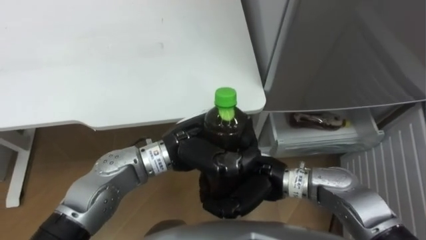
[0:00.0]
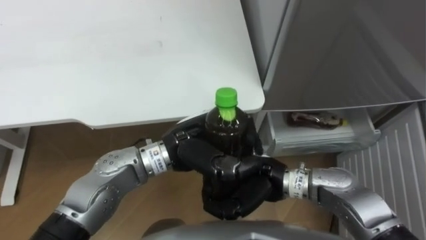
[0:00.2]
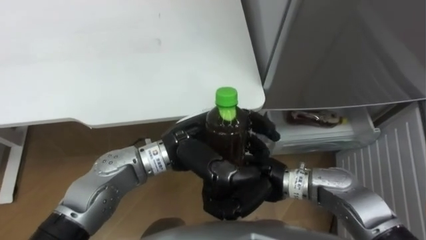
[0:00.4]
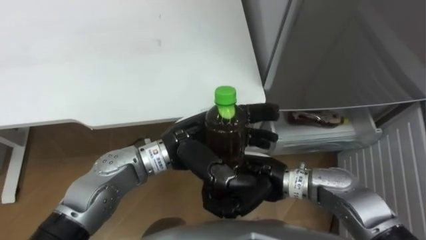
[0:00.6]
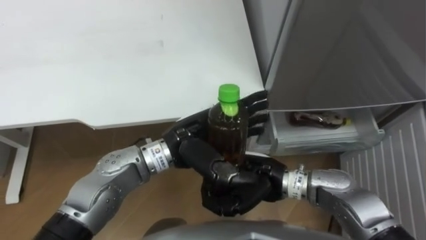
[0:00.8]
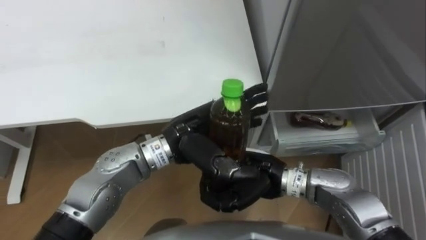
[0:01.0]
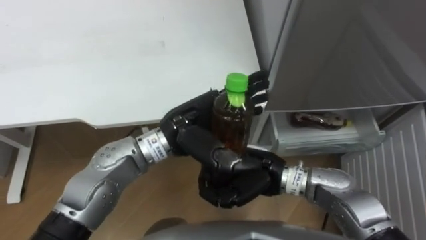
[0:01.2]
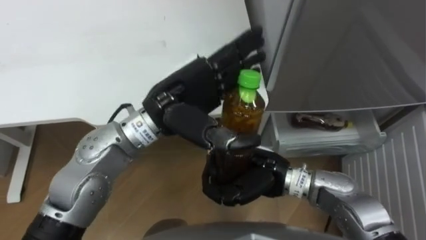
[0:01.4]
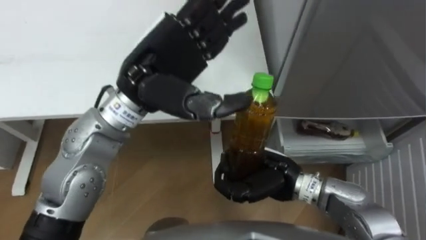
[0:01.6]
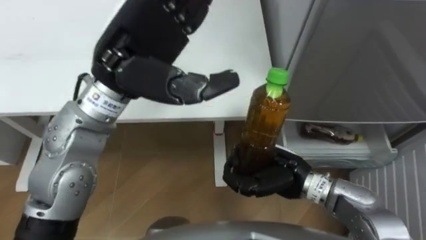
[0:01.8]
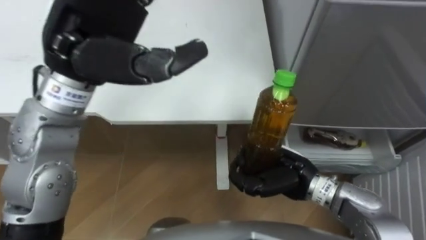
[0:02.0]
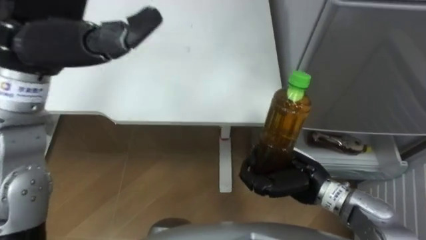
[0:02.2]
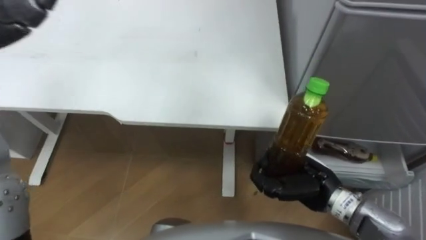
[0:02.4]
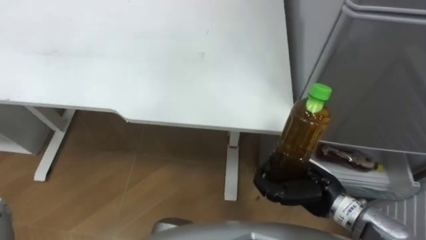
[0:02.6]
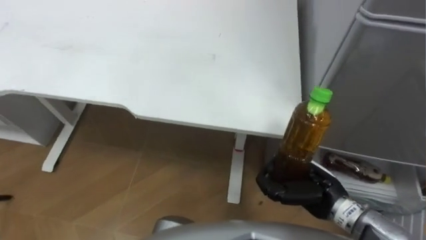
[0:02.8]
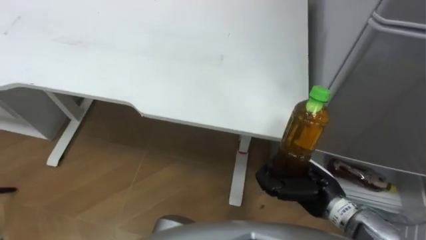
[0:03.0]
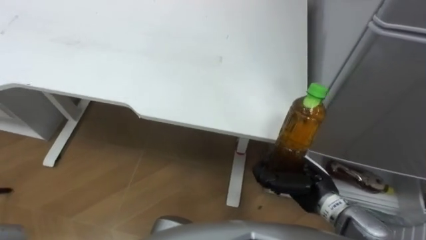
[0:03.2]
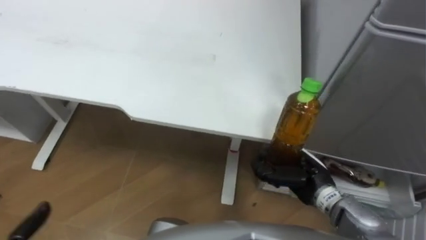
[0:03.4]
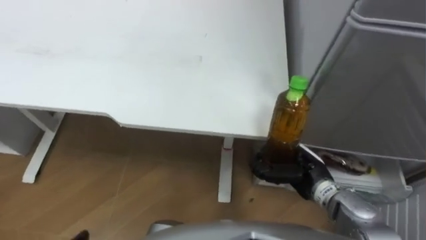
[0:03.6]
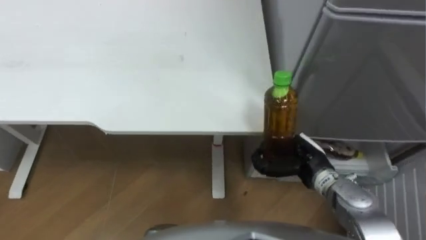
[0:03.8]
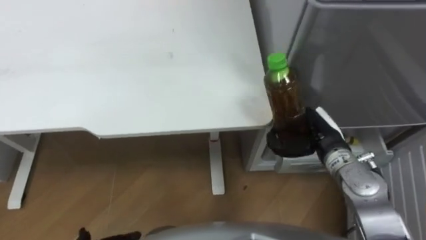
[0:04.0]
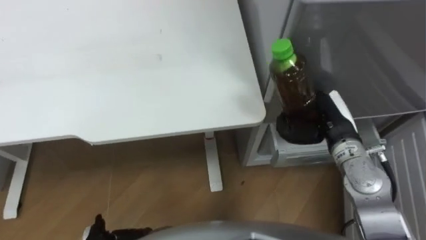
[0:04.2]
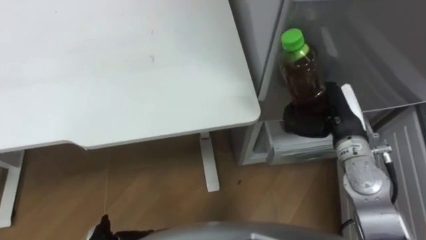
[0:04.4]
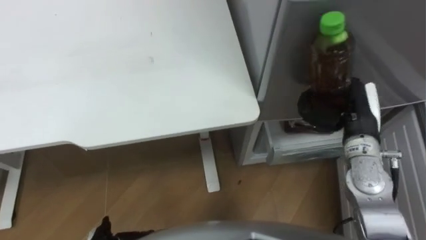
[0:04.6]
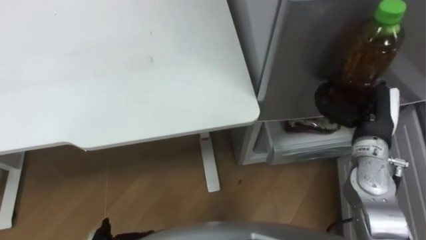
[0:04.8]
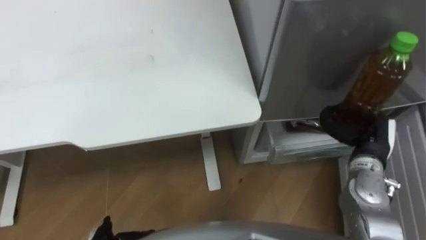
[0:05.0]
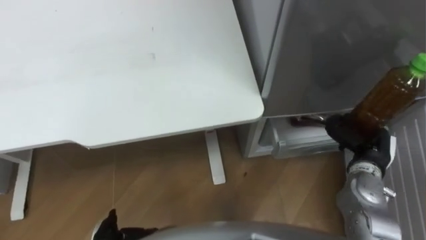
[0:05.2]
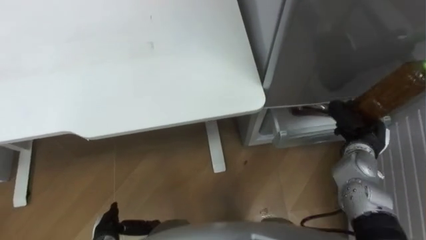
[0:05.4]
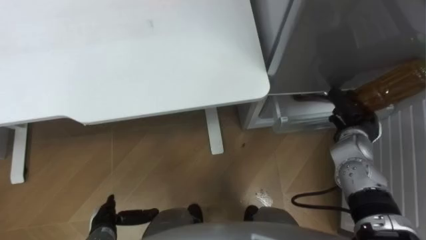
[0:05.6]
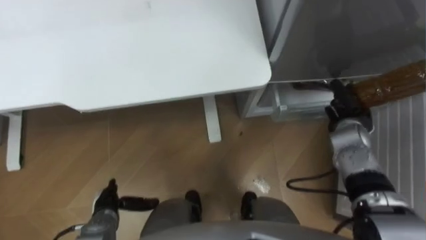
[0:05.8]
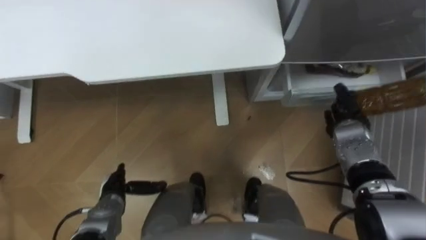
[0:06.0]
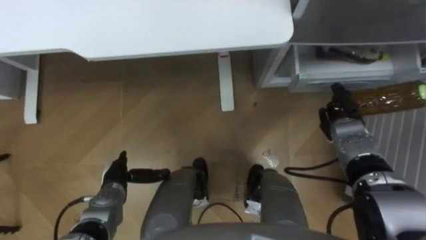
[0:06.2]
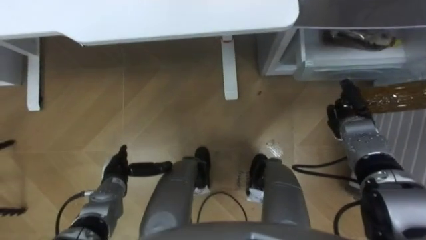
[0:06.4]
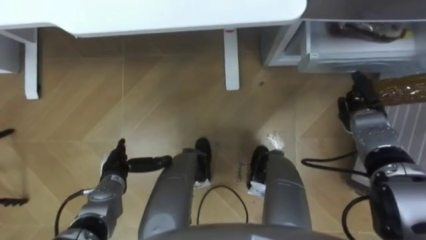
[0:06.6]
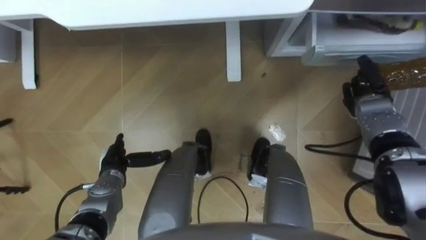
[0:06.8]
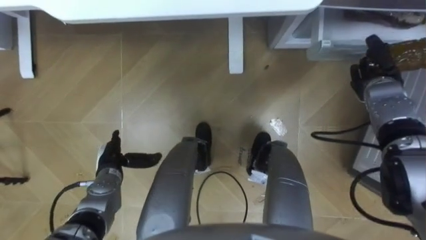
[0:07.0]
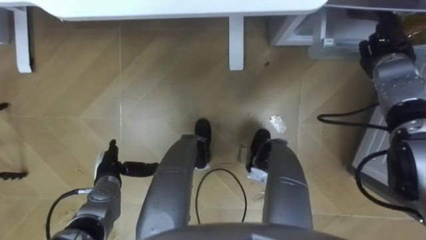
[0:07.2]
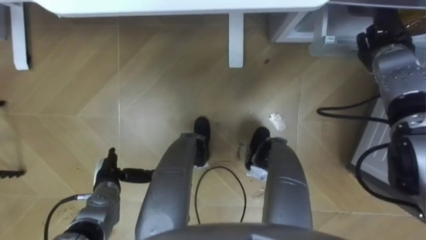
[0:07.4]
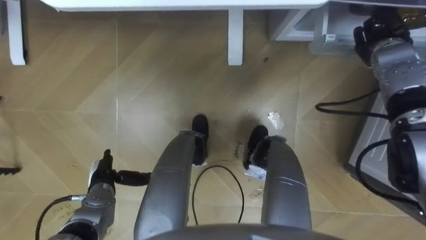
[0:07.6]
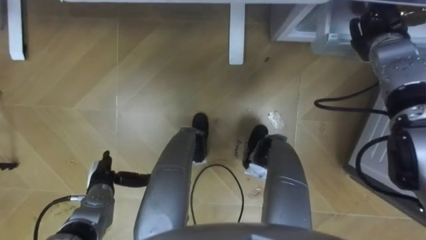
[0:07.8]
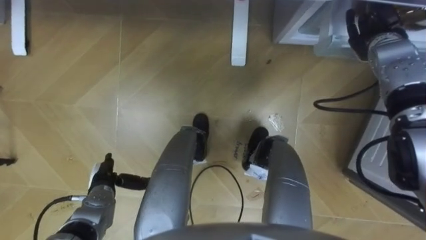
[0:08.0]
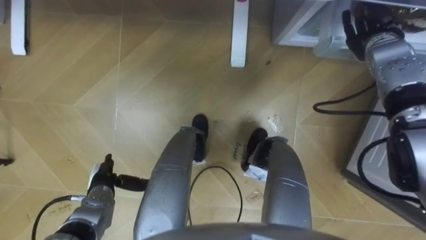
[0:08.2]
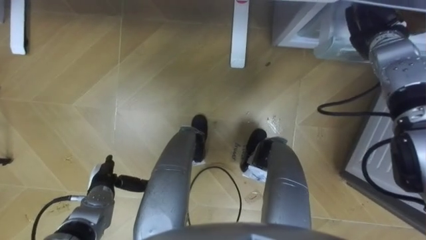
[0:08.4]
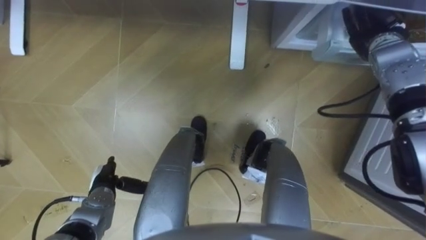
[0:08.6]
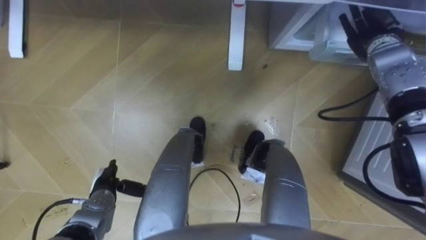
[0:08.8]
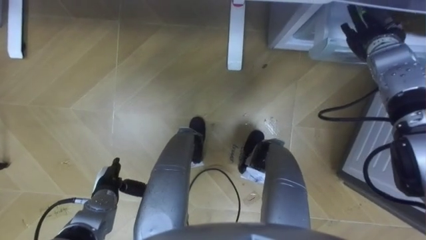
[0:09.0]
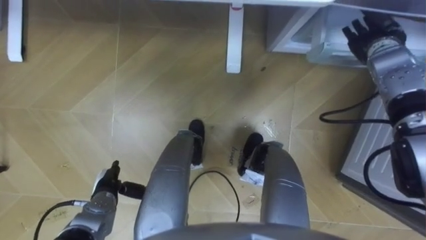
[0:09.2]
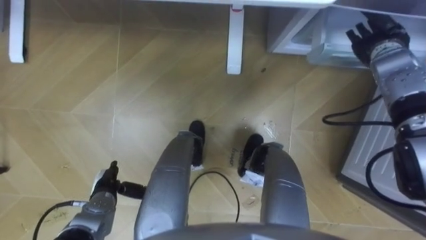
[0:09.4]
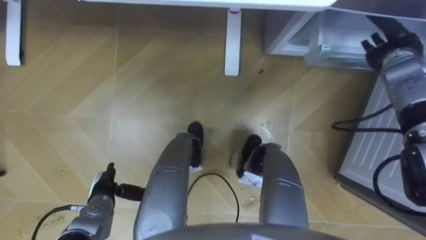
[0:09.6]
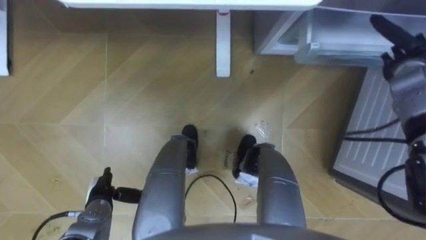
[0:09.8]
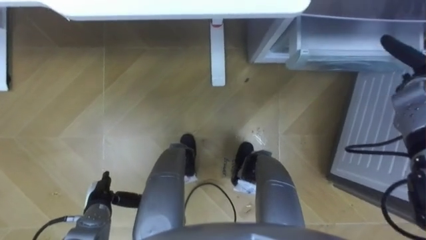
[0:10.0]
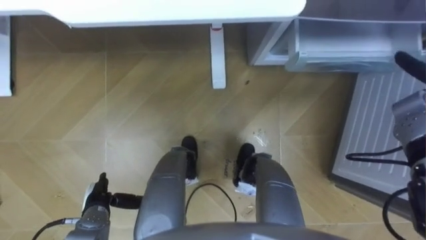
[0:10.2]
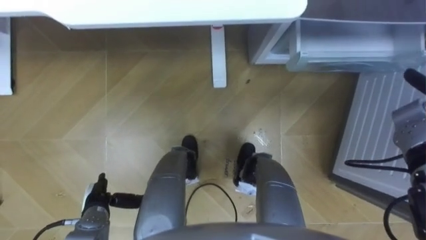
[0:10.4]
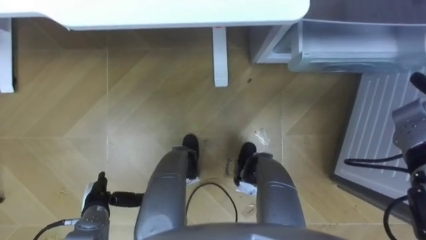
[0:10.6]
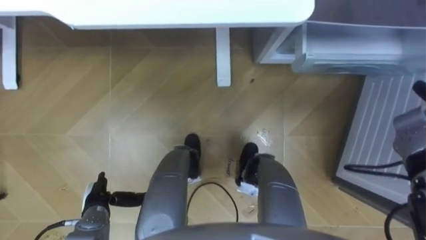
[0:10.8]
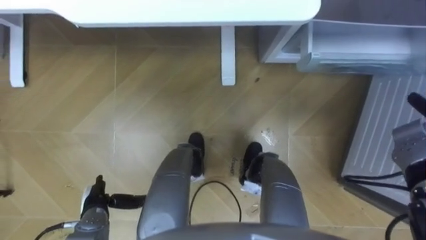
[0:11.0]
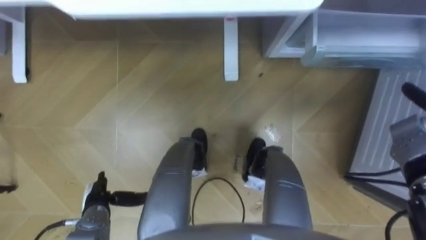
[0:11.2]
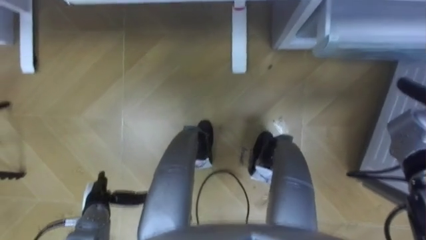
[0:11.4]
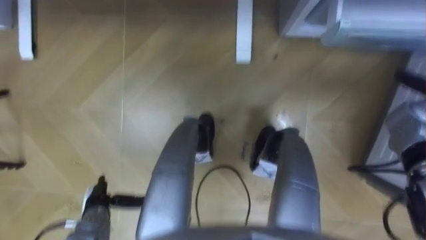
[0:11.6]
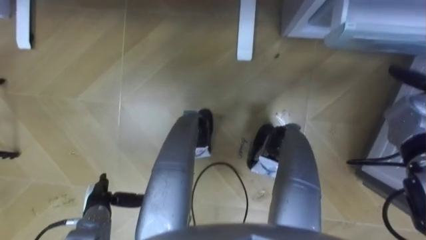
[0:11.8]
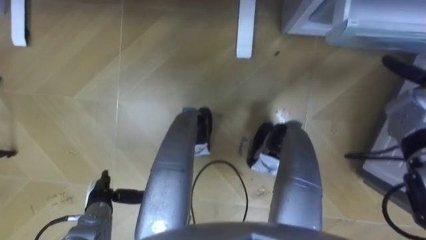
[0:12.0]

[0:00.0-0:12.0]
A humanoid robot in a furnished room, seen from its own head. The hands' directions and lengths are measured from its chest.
Task of the whole recording: Place the drink on the table on the bottom shelf of the refrigerator, then close the drawer and the refrigerator door.
0:00.0 to 0:01.6: The left hand heads upward, covering some 15 cm, and opens.
0:01.6 to 0:03.0: The right hand is displaced to the right by about 10 cm.
0:03.0 to 0:04.4: The right hand is displaced forward and upward by about 15 cm.
0:04.4 to 0:06.0: The right hand travels downward and to the right by approximately 10 cm.
0:06.0 to 0:07.6: The right hand is displaced upward and forward by approximately 15 cm.
0:07.6 to 0:09.0: The right hand opens.

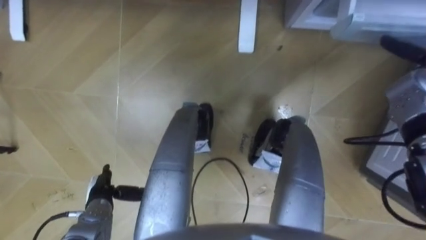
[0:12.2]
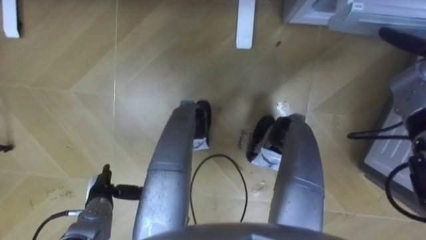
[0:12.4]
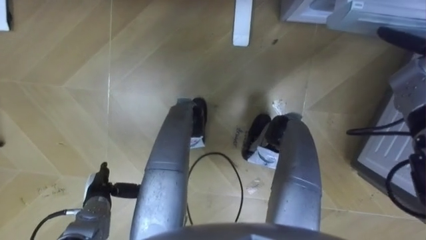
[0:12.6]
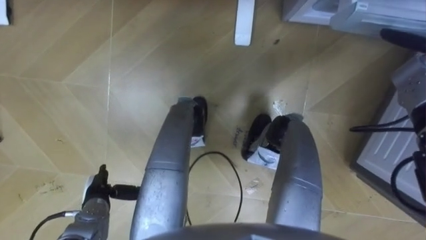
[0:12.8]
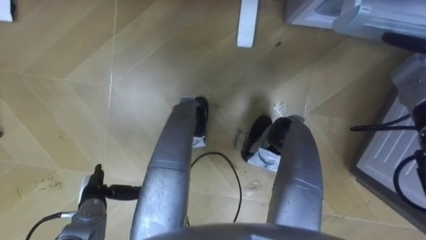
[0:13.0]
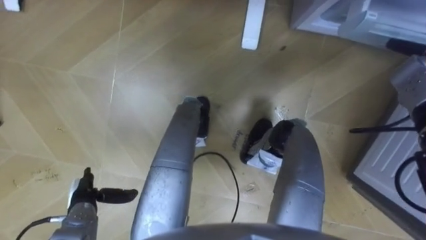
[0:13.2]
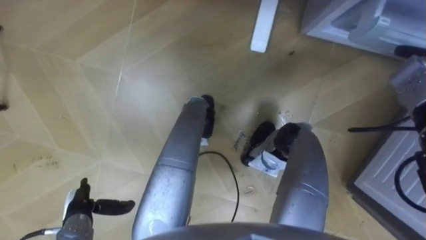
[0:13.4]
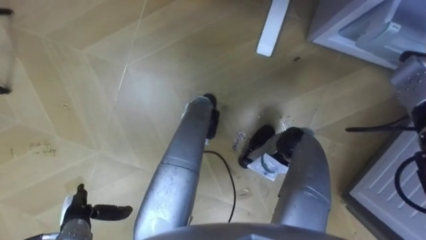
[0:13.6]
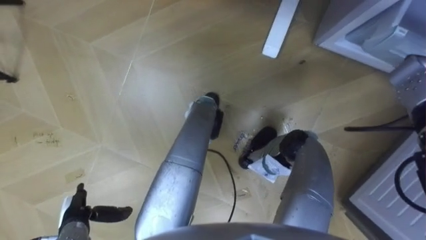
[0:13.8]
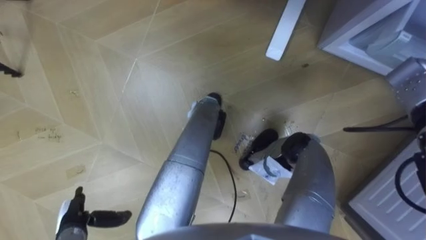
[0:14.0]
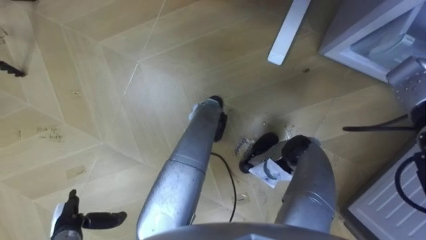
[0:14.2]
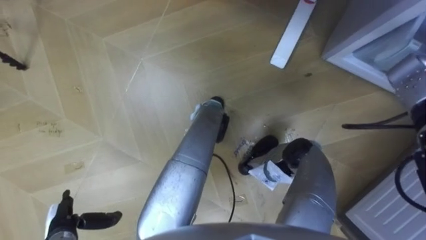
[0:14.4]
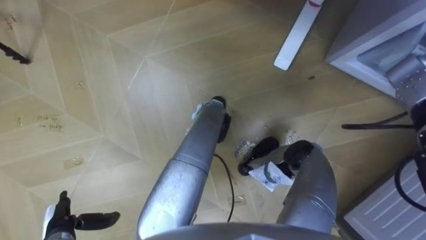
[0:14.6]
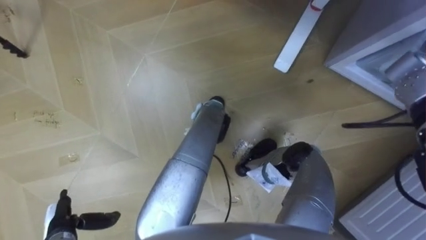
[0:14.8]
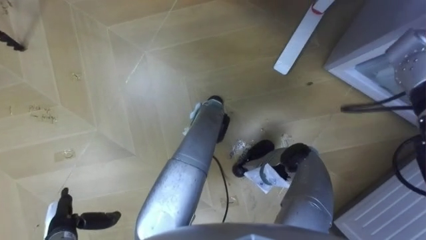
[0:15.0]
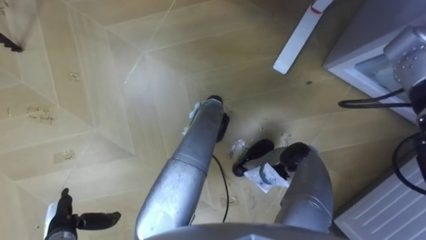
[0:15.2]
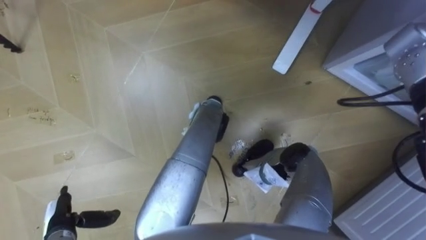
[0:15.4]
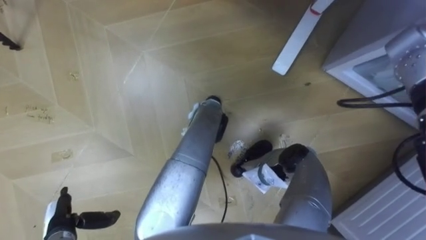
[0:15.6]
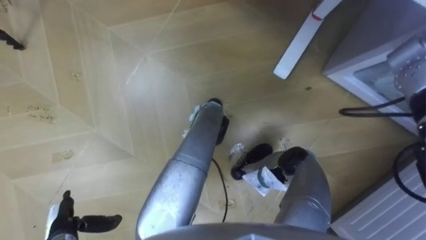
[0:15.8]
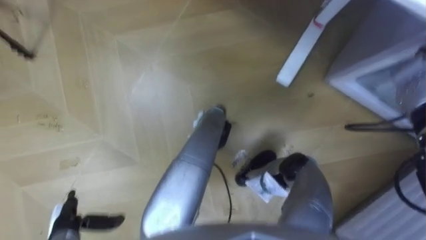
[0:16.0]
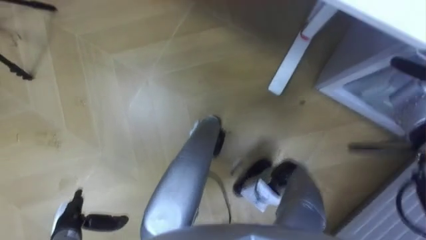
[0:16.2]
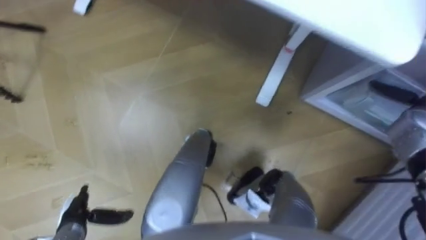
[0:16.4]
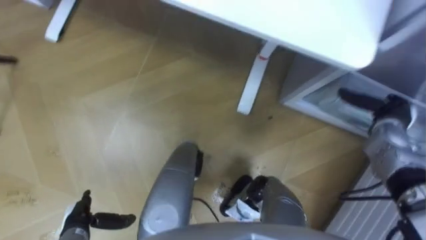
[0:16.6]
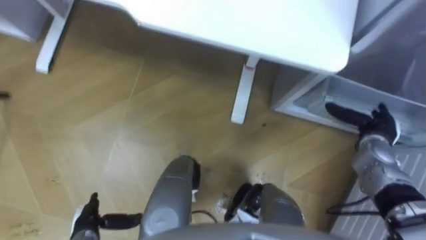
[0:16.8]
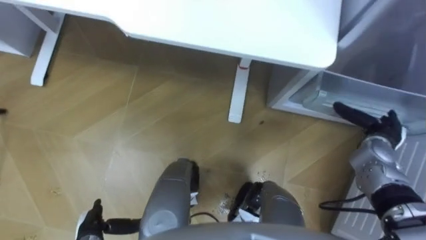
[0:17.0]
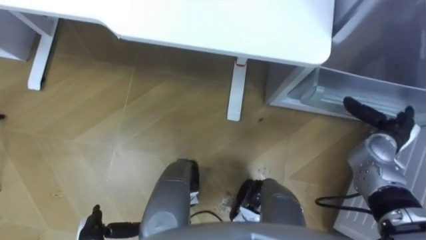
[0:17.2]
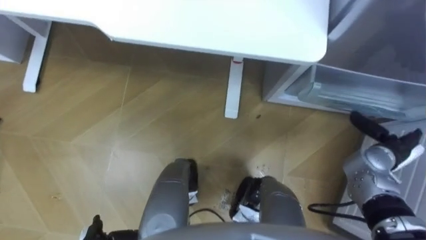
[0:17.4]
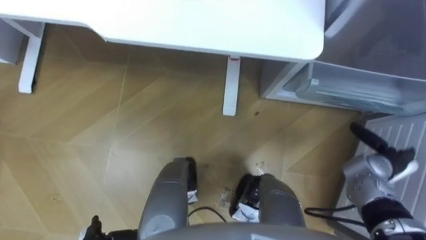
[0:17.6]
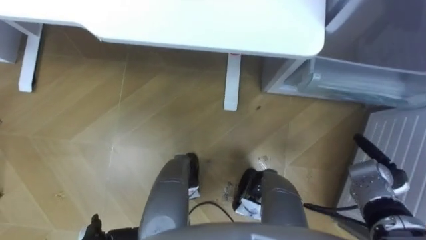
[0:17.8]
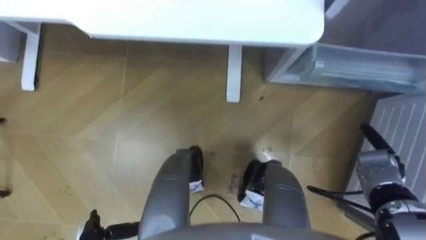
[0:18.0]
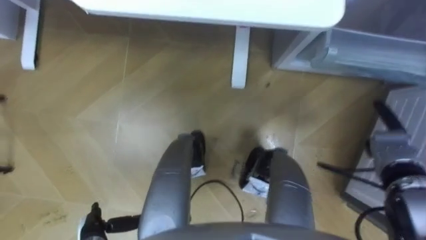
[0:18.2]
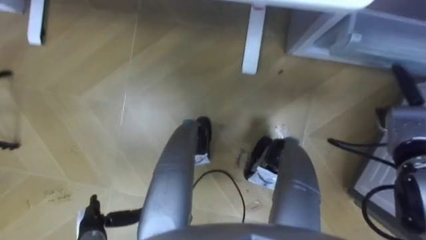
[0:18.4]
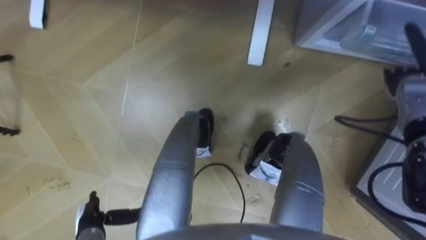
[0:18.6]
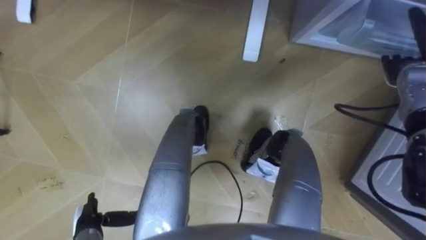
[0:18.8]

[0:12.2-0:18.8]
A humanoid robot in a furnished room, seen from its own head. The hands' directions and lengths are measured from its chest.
Task of the whole recording: Place the drink on the table on the bottom shelf of the refrigerator, then close the drawer and the refrigerator door.
0:12.2 to 0:13.8: The left hand shifts by about 5 cm.
0:15.4 to 0:17.2: The left hand moves to the right, some 5 cm.
0:17.2 to 0:18.8: The right hand moves forward and upward, approximately 15 cm.
